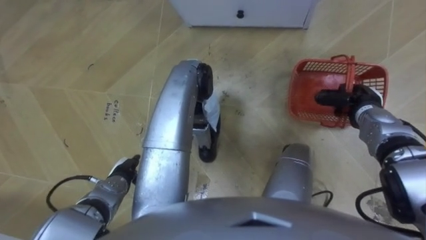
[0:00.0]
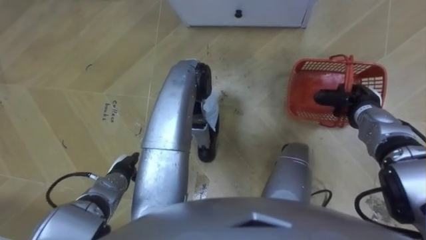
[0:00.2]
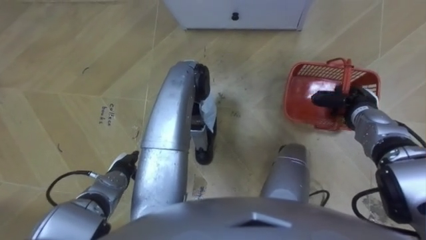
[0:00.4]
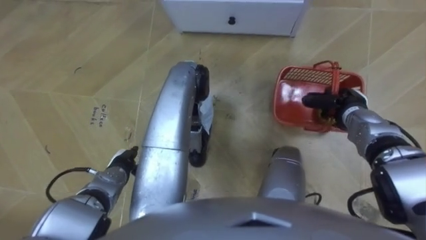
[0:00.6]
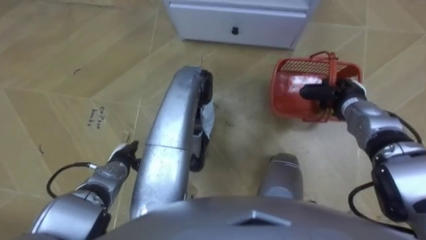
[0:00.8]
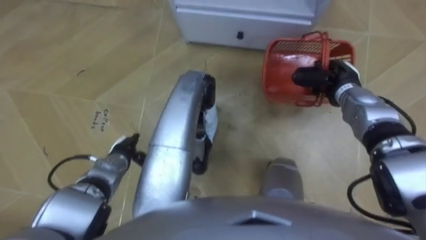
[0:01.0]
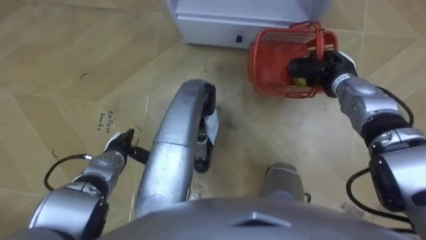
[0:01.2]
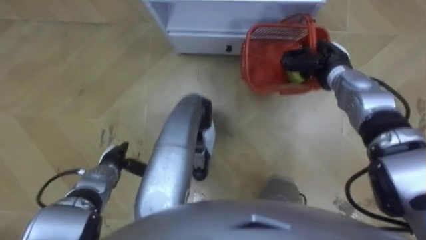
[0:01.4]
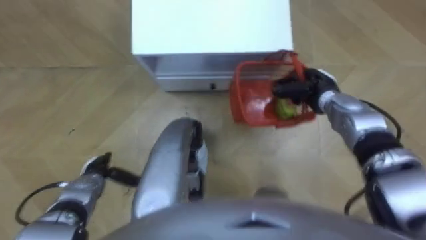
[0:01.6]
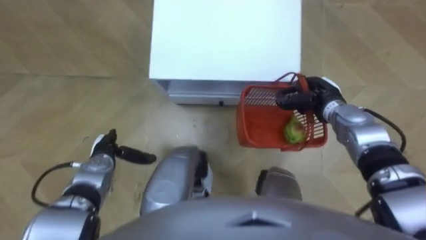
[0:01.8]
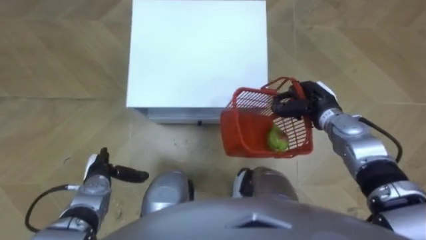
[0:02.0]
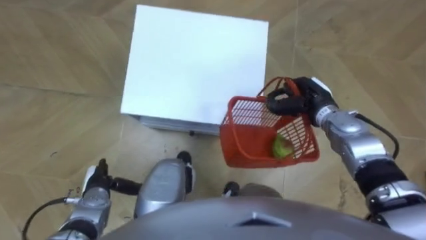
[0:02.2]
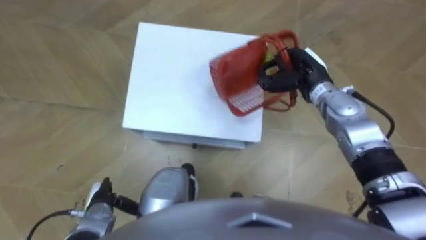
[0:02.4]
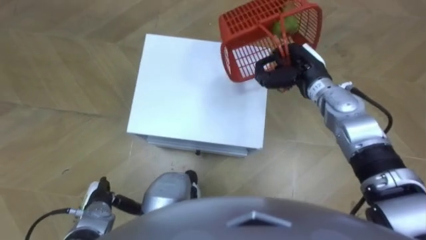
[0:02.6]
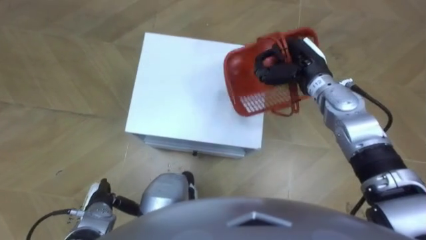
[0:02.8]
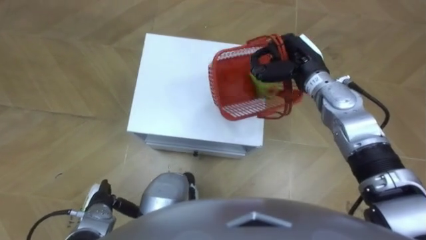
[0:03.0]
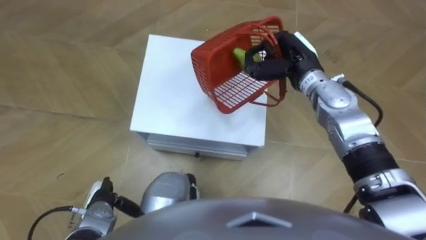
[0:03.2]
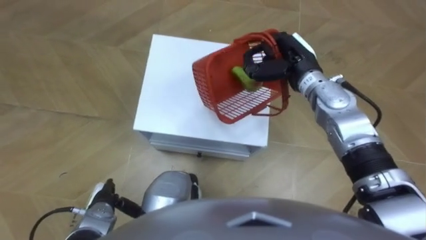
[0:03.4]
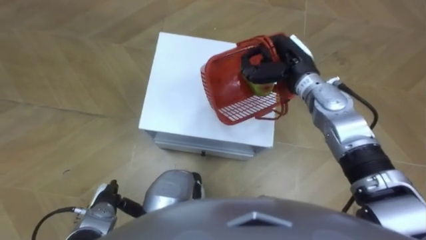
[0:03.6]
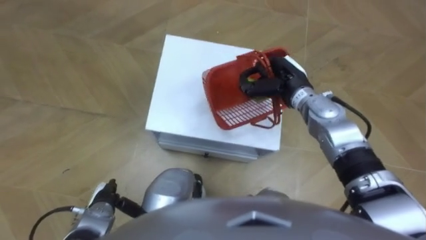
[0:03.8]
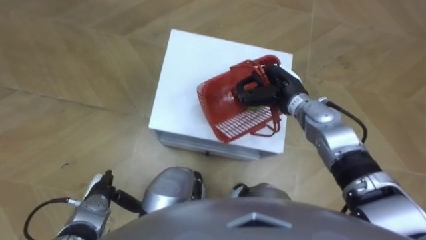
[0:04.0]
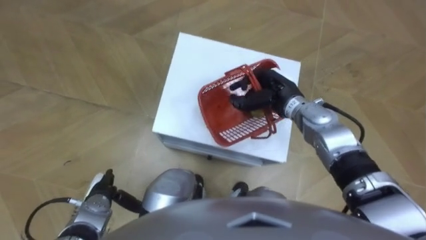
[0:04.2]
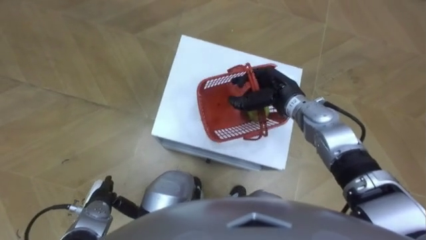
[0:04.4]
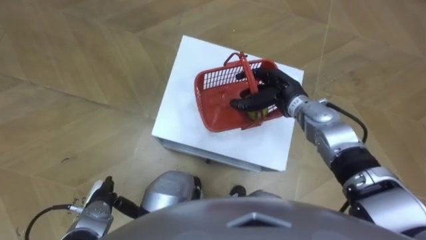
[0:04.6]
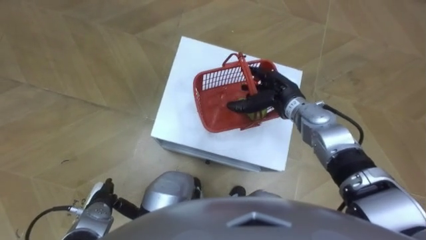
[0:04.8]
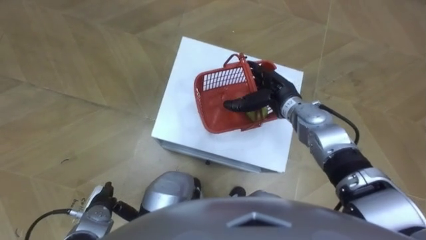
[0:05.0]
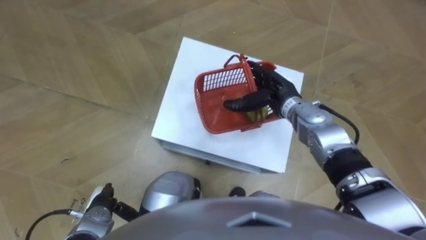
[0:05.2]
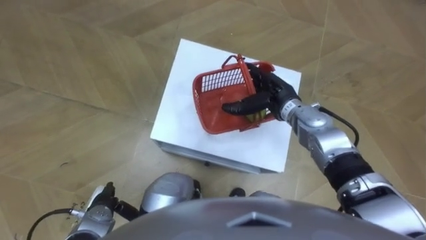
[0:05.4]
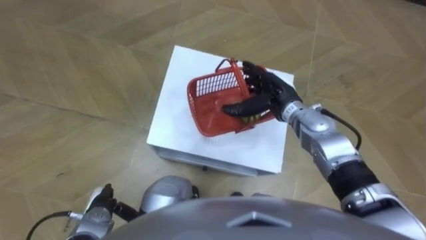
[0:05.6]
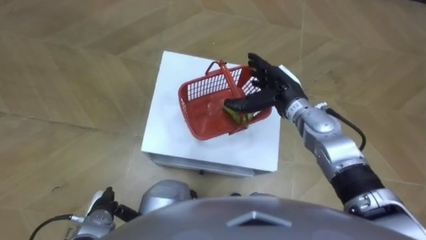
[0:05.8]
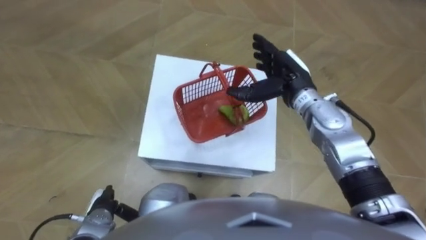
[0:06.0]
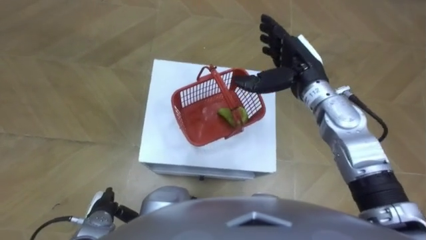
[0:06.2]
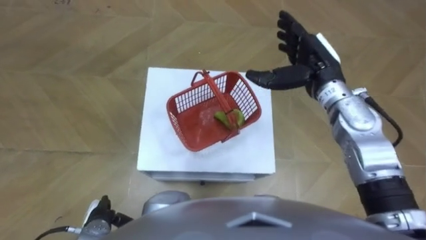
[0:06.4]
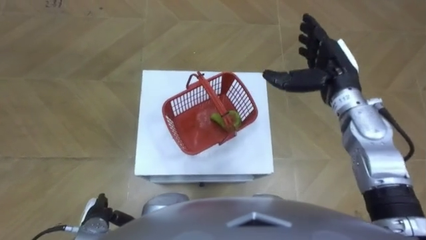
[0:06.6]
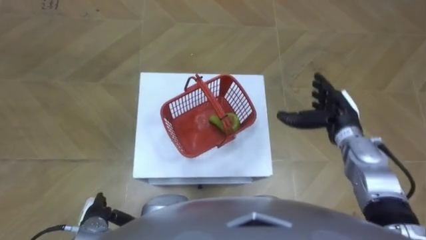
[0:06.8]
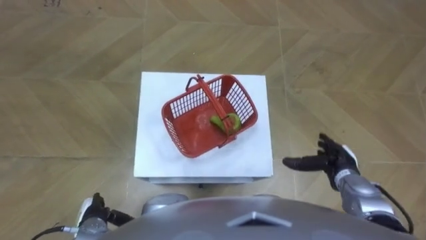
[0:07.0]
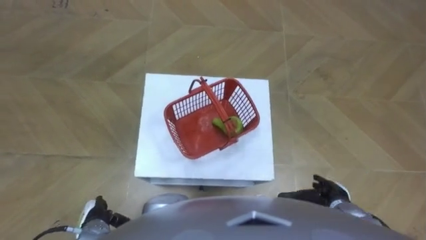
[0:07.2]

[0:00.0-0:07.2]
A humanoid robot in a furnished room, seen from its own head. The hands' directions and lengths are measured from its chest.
Task of the whole recording: Pick up the fruit basket from the floor and place it on the cabinet.
0:00.0 to 0:01.4: The right hand is displaced to the left and forward by about 10 cm.
0:01.4 to 0:02.8: The left hand goes forward and backward, approximately 10 cm each way, reversing 2 times; the right hand goes some 5 cm to the left.
0:02.8 to 0:04.4: The right hand moves roughly 5 cm.
0:04.4 to 0:05.8: The right hand opens up.
0:05.8 to 0:07.2: The right hand moves backward, downward and to the right, about 30 cm.

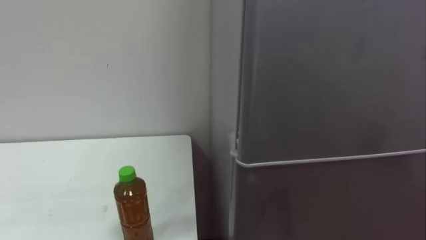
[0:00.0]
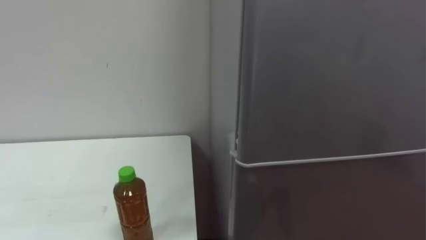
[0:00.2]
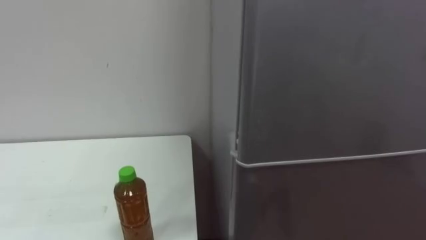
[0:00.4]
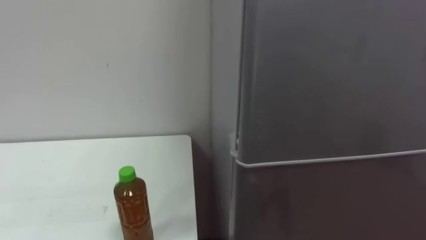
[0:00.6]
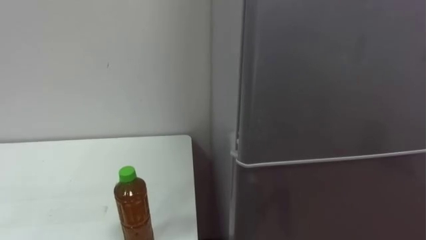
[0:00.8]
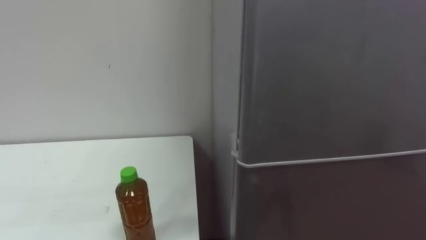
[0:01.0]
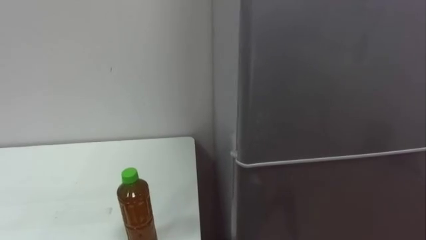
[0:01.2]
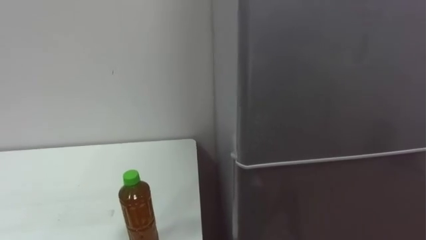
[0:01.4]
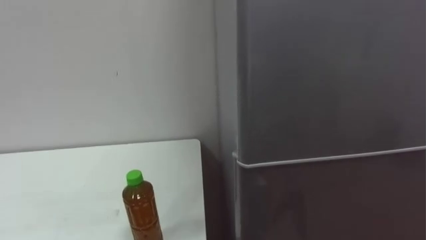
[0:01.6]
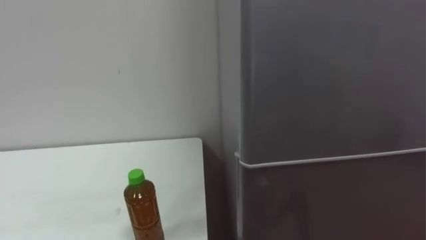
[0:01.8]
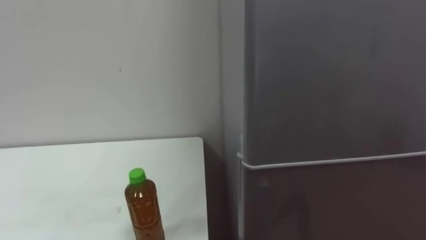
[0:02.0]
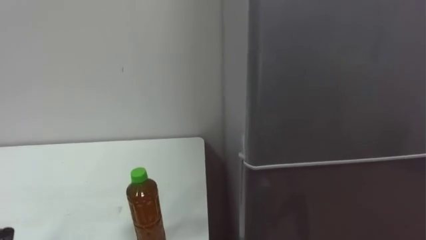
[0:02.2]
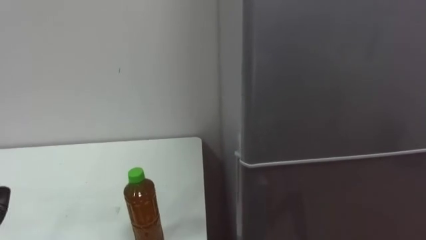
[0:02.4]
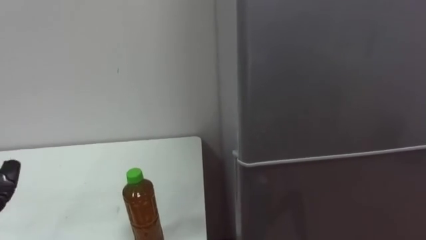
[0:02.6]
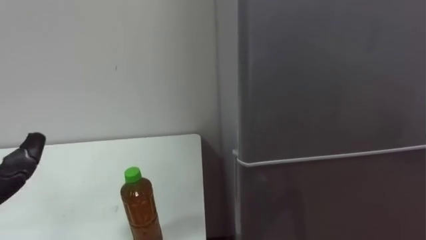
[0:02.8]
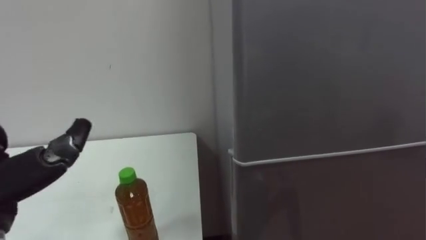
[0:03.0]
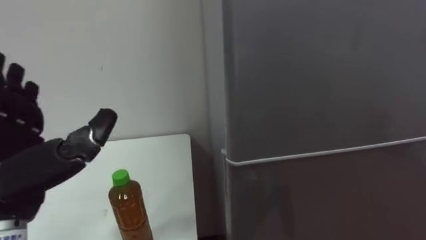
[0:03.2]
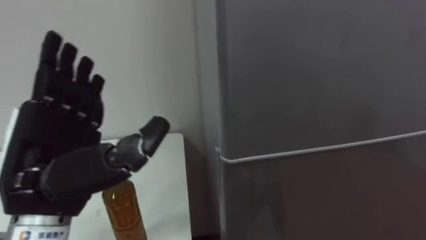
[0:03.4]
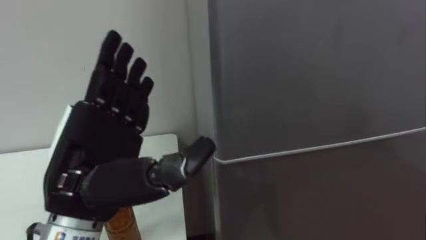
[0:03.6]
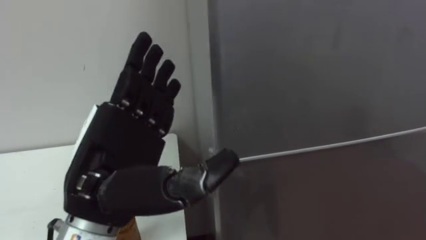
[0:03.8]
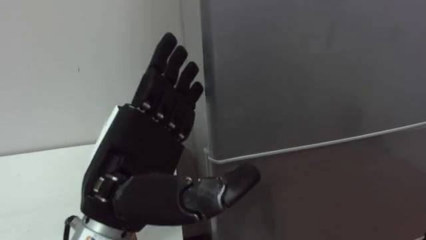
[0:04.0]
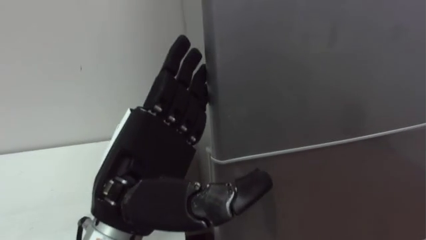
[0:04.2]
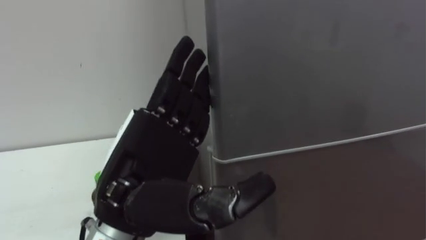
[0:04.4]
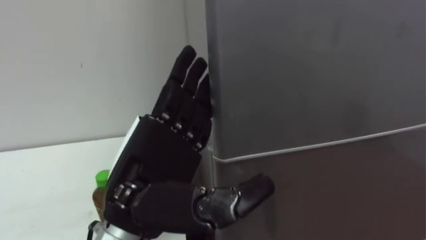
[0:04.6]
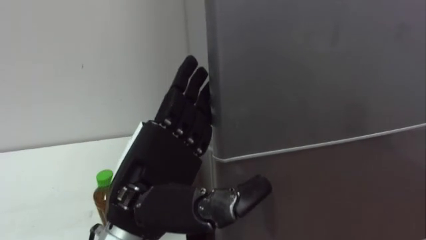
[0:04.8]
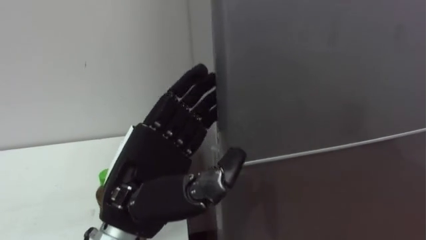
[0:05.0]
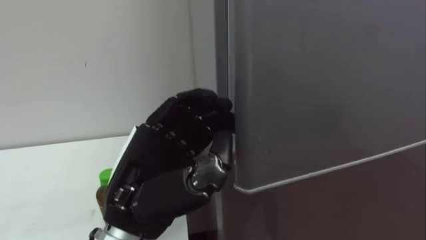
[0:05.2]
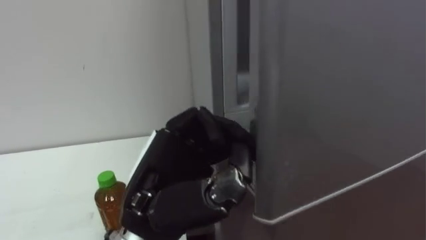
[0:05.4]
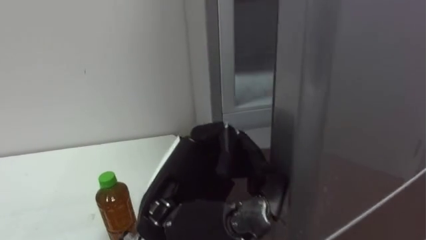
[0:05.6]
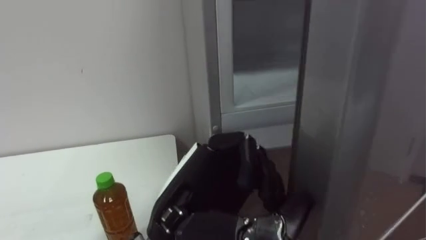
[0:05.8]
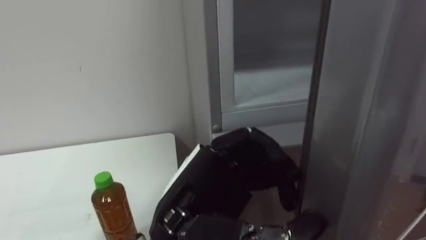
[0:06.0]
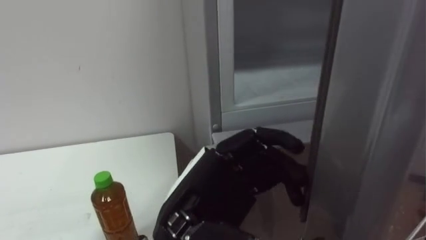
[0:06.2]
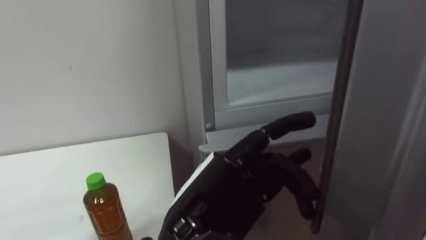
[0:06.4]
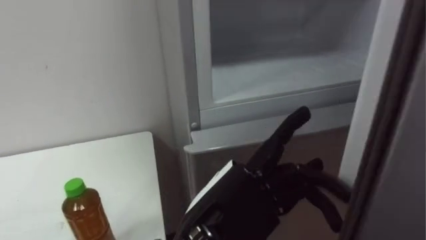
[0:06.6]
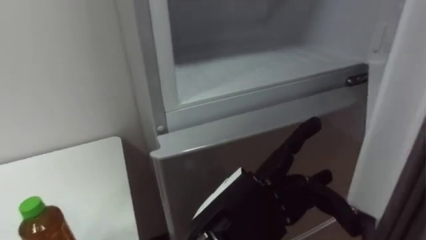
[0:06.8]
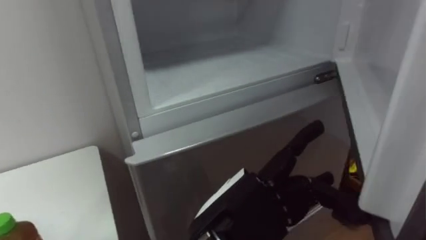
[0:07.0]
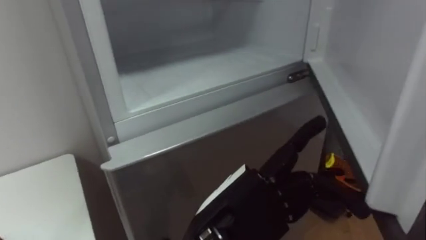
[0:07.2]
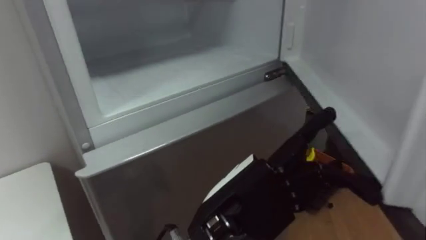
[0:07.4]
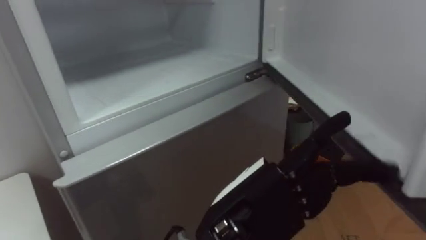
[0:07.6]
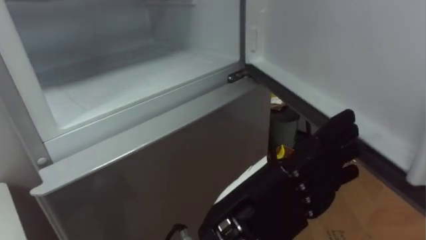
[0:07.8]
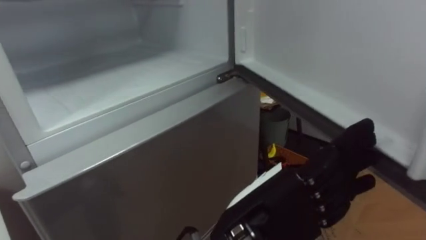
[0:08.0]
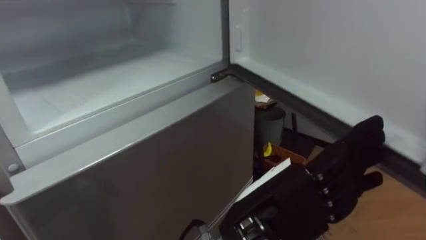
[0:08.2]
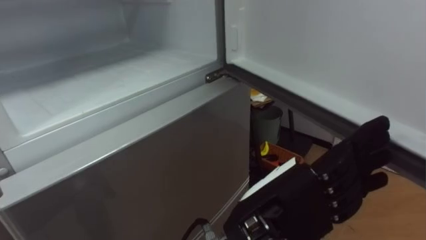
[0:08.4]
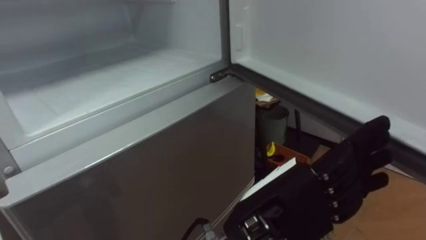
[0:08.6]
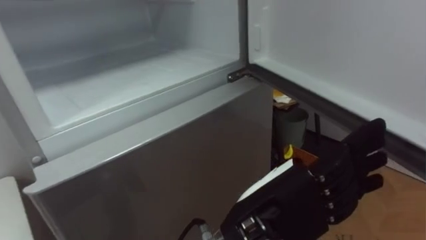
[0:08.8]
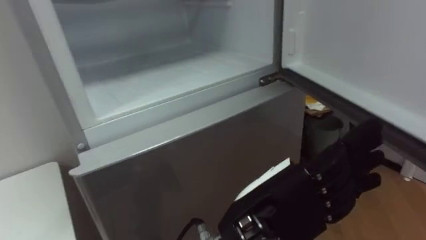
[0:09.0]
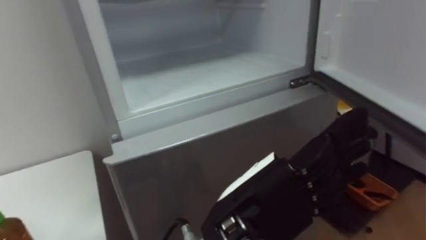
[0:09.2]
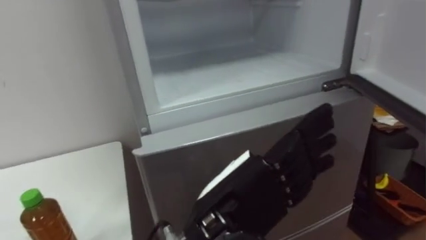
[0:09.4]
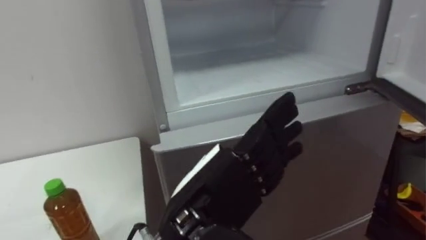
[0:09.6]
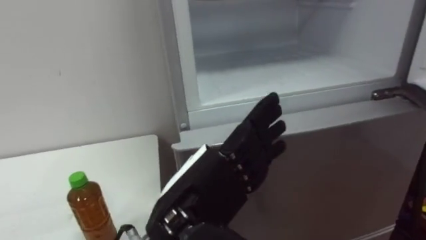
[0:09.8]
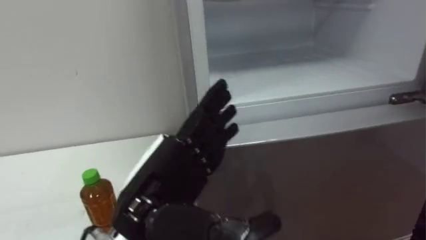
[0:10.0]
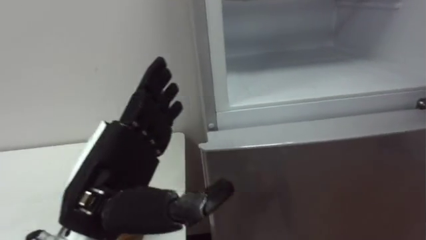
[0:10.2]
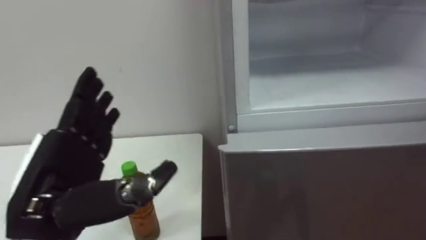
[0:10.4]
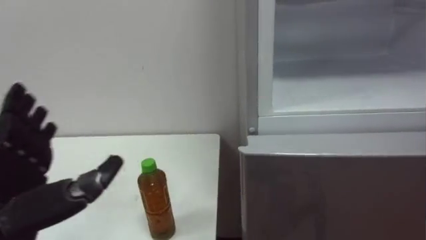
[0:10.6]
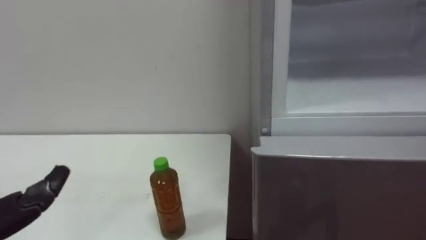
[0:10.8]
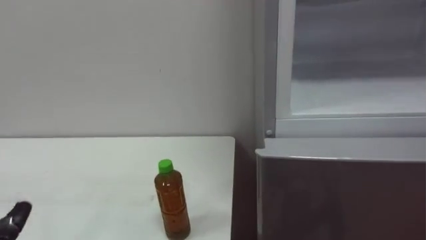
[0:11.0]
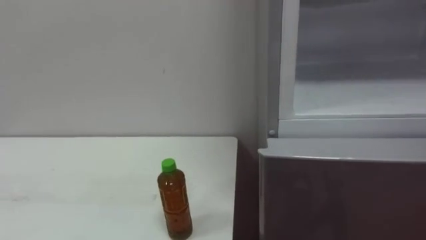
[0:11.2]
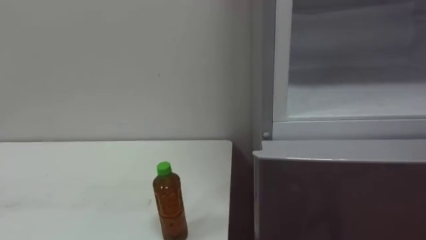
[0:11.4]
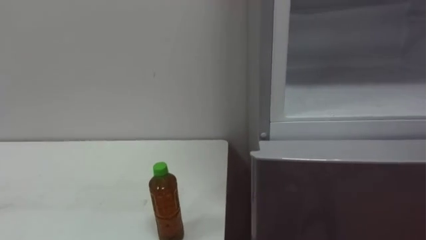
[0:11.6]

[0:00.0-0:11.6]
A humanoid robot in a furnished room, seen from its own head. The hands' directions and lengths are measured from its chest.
Task of the whole recording: Open the upper refrigerator door, put the drink from the table into the refrigerator, and then close the refrigerator door.
0:04.4 to 0:05.8: The left hand moves approximately 5 cm, and closes its fingers.
0:05.8 to 0:07.2: The left hand opens up.
0:08.8 to 0:10.2: The left hand shifts about 15 cm to the left.
